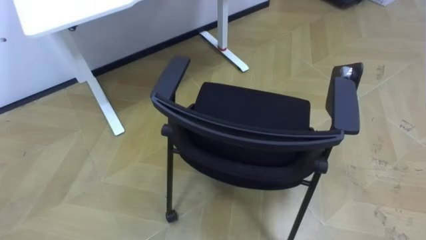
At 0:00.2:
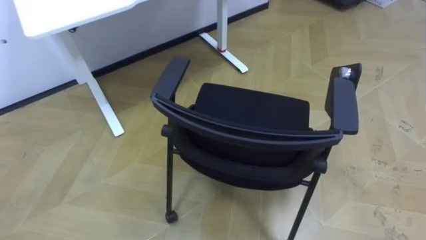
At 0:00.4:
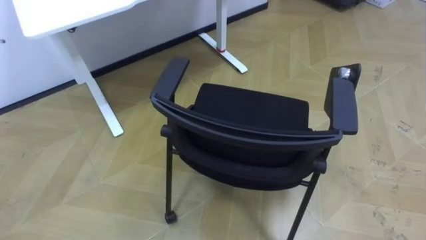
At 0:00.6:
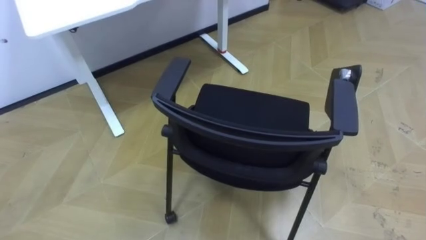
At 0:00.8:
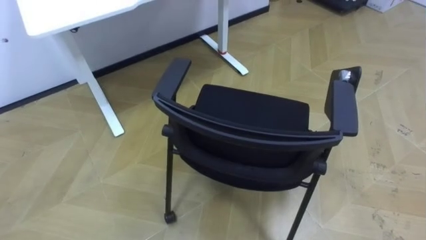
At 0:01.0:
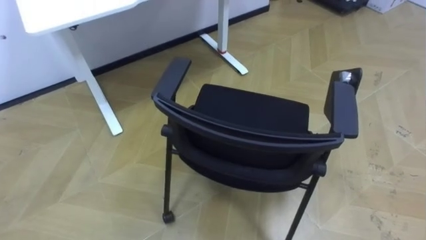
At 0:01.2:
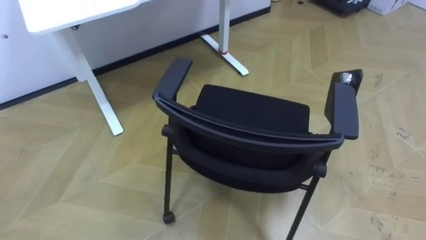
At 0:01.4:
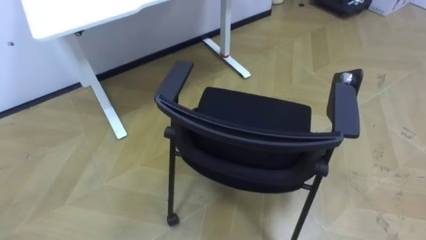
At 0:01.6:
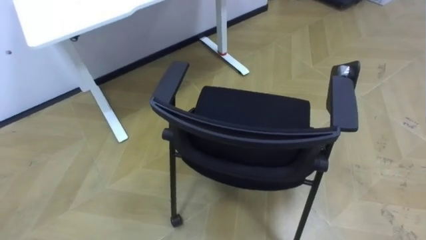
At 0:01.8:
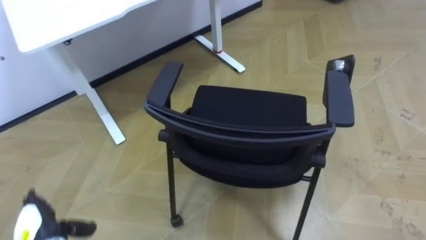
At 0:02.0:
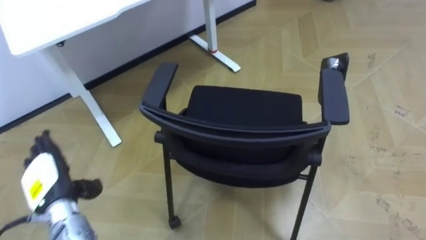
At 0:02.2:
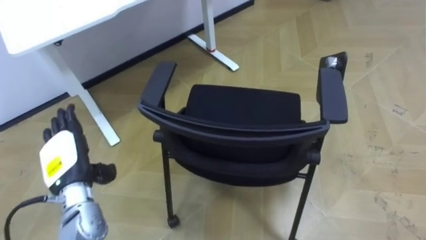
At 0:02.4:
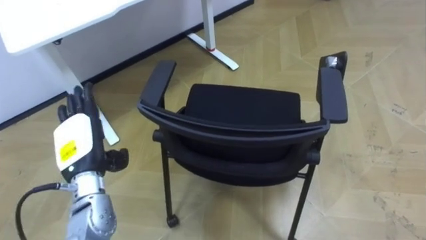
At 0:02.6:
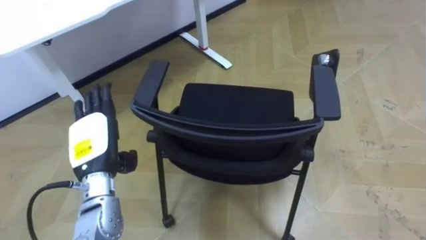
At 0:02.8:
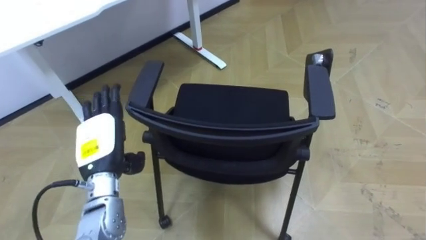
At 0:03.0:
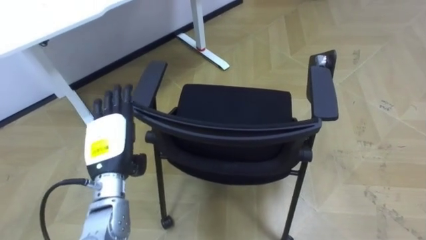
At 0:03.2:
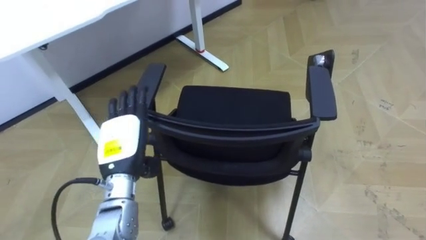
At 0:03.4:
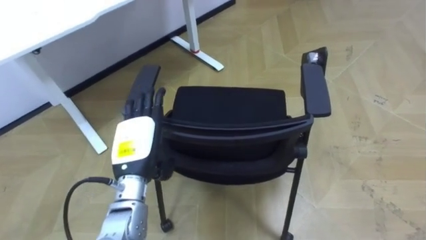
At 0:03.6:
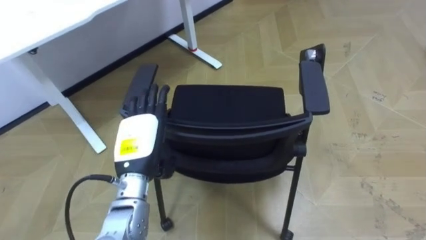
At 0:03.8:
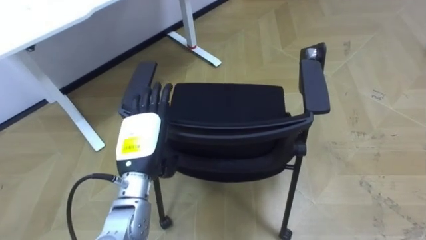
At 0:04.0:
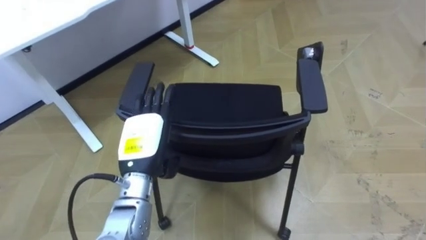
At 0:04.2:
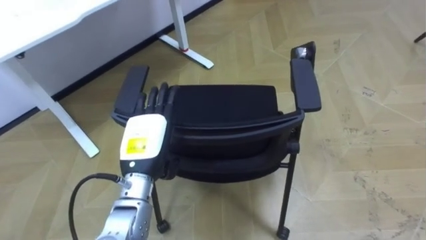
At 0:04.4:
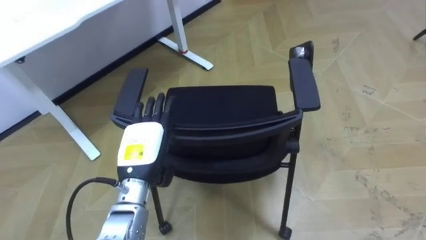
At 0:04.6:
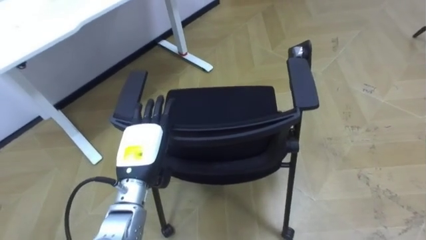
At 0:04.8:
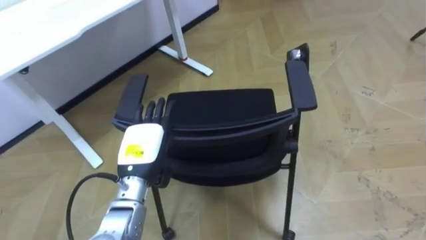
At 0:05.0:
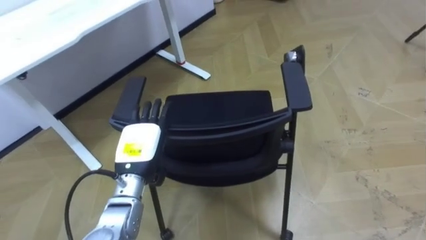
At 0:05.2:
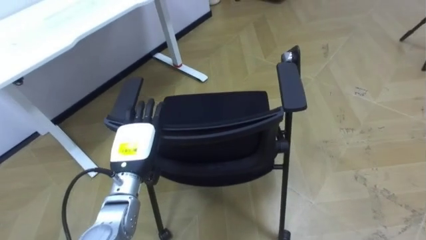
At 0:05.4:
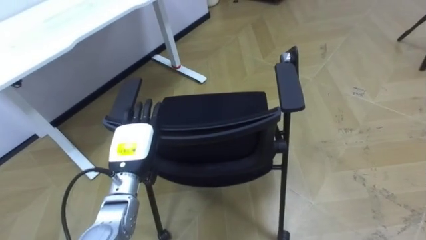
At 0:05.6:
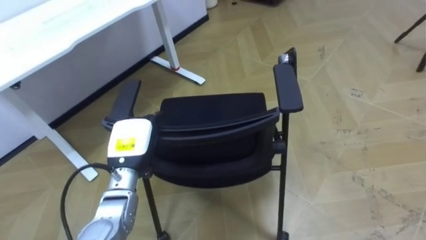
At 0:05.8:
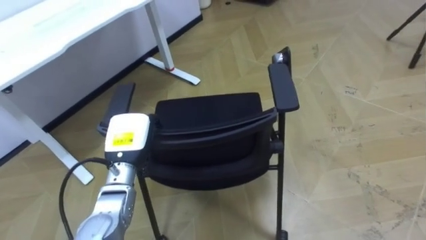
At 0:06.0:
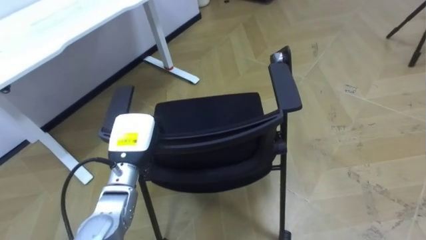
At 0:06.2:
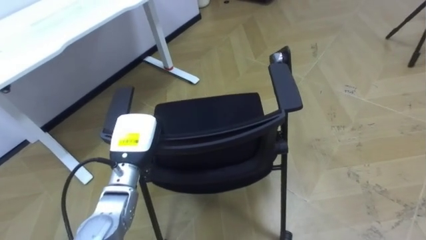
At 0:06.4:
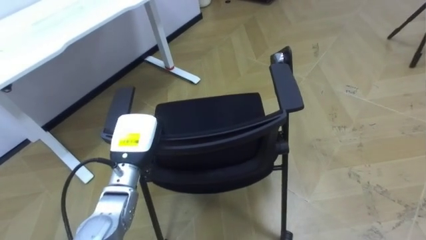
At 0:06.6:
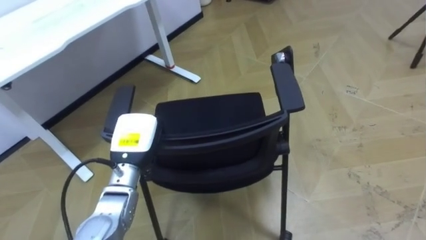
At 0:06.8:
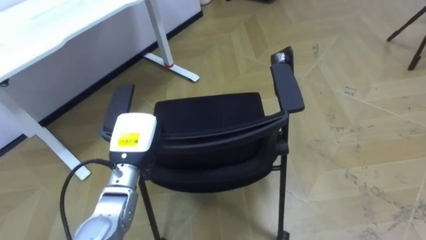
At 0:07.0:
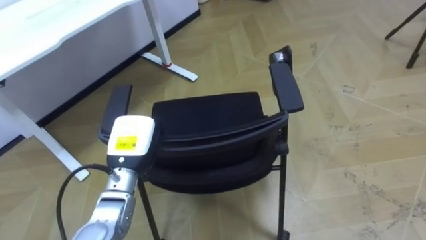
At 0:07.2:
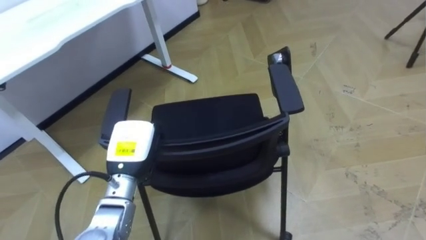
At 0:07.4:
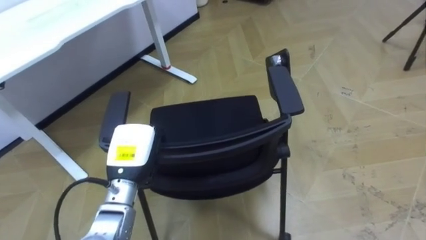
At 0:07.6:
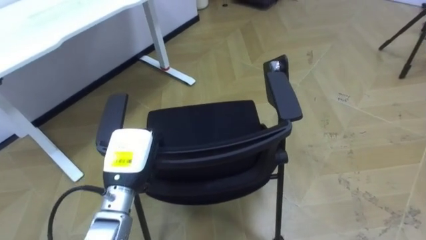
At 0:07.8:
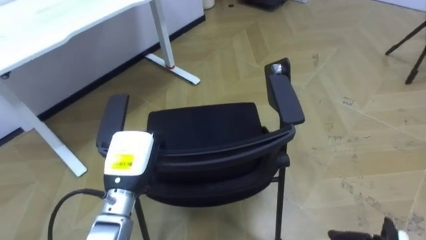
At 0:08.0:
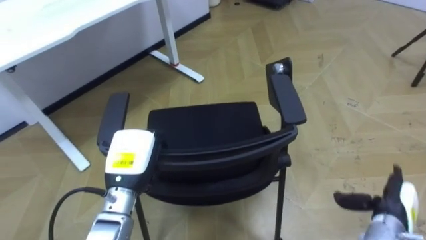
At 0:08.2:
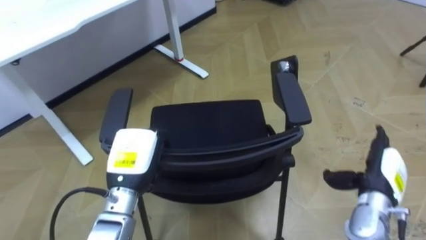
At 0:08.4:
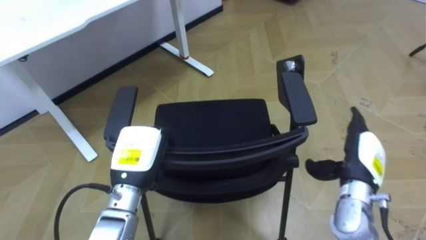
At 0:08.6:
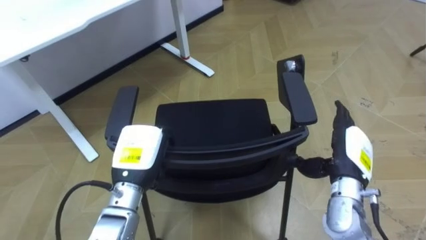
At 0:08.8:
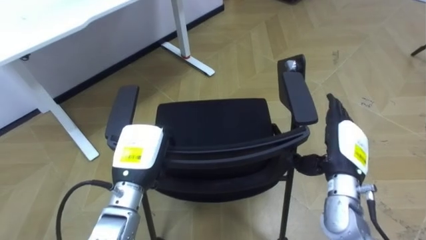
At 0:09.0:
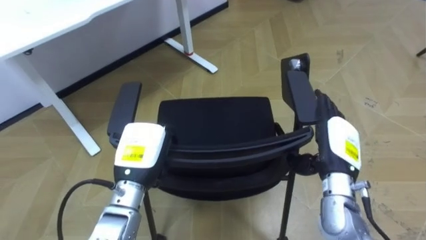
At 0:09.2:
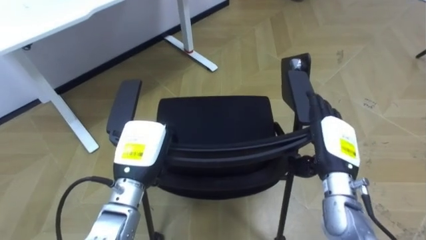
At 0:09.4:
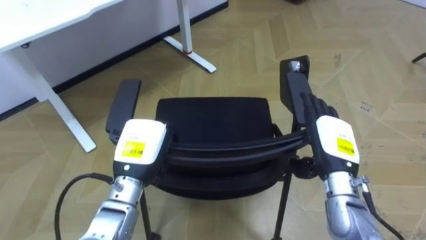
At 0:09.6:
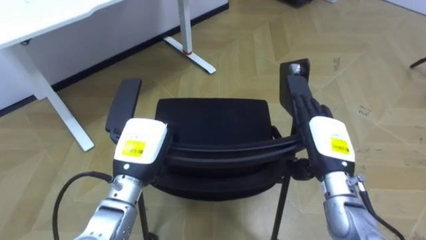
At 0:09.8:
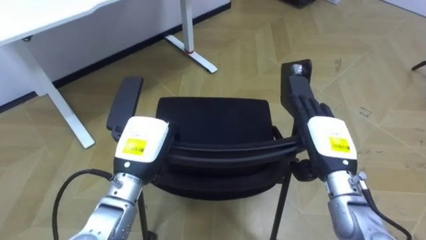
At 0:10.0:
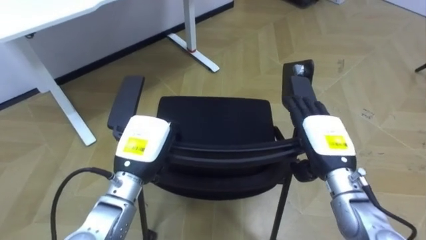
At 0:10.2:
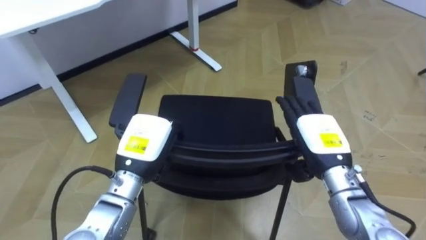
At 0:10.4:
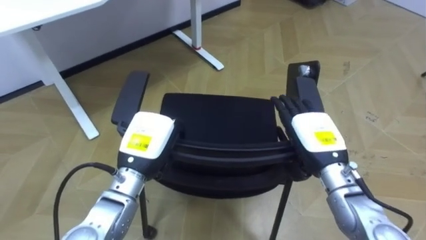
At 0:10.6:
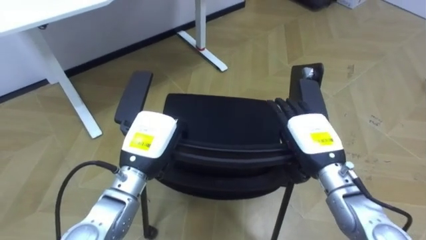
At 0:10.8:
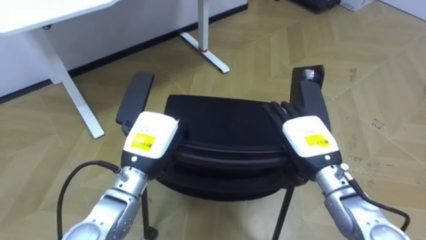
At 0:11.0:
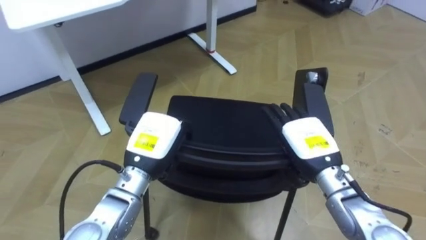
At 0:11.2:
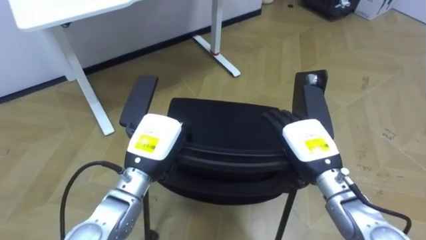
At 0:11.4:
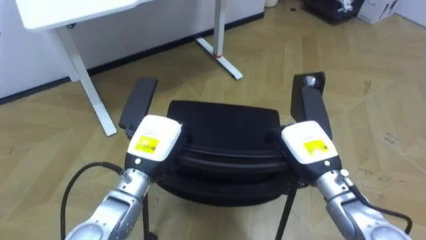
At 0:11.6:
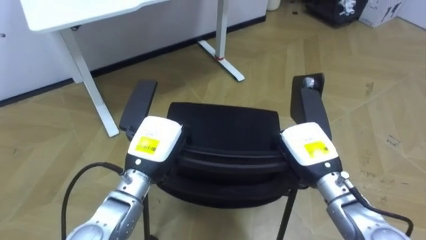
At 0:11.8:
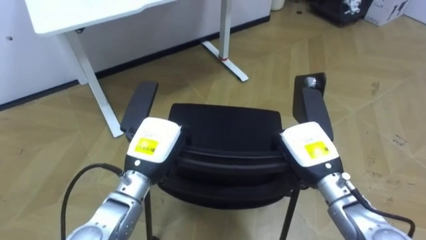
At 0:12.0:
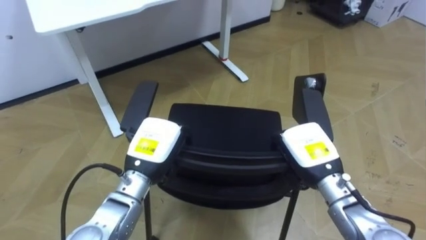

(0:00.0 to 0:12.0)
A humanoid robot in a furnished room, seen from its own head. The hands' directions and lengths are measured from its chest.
Task of the whole recording: Push the chair under the table.
0:03.0 - 0:04.4: The left hand goes about 5 cm to the right.
0:04.4 - 0:06.0: The left hand closes its fingers.
0:10.4 - 0:12.0: The right hand closes.

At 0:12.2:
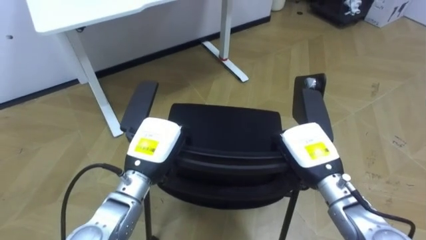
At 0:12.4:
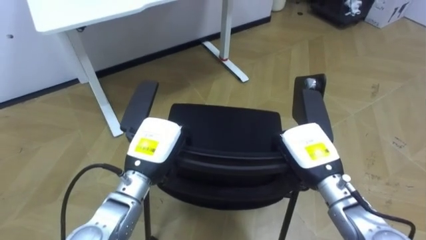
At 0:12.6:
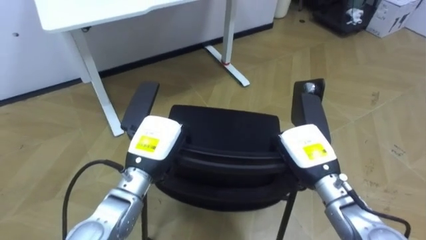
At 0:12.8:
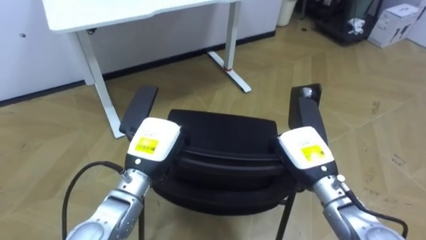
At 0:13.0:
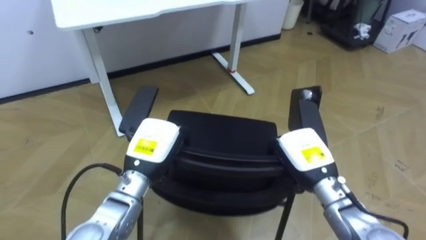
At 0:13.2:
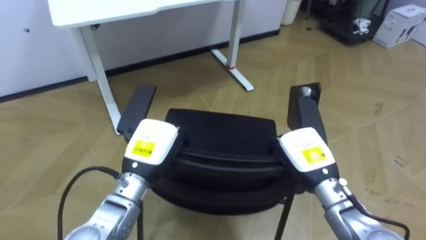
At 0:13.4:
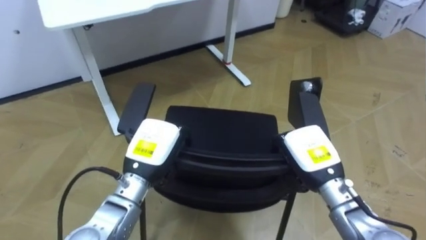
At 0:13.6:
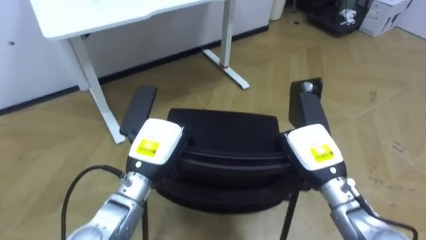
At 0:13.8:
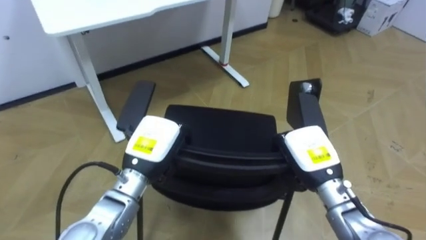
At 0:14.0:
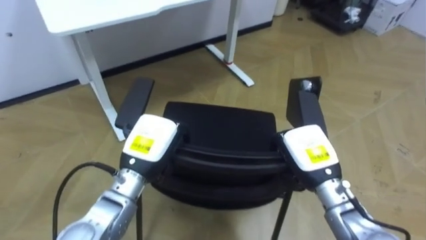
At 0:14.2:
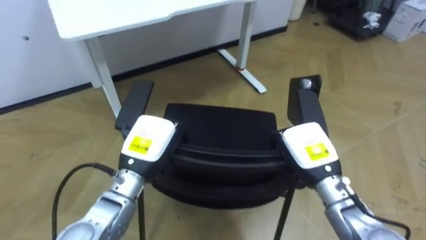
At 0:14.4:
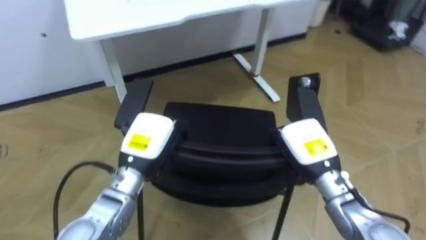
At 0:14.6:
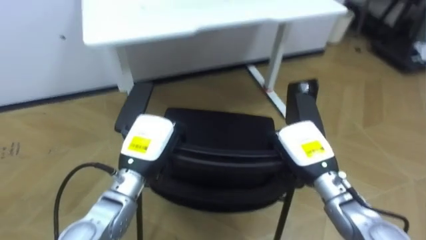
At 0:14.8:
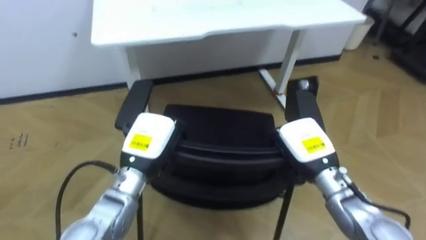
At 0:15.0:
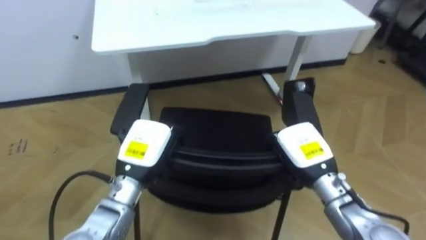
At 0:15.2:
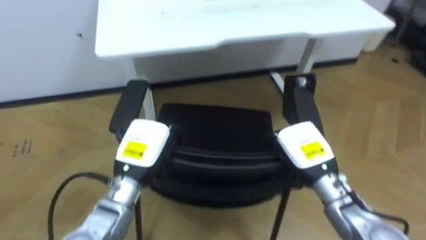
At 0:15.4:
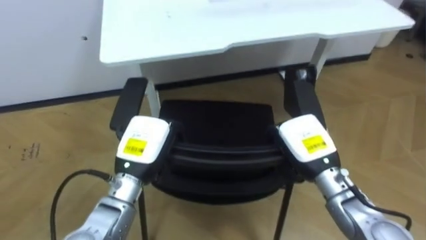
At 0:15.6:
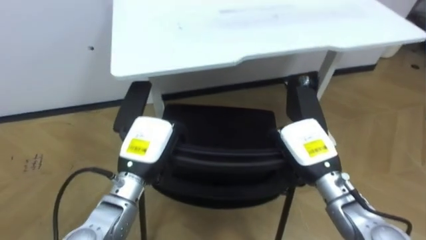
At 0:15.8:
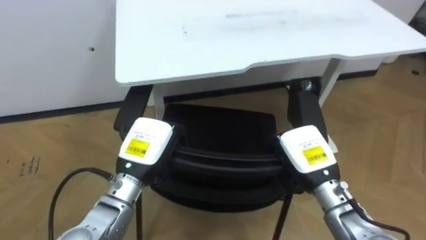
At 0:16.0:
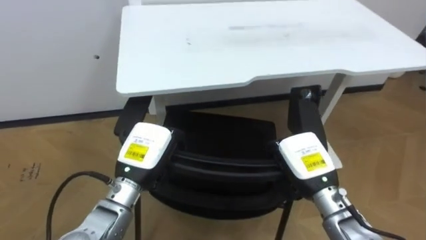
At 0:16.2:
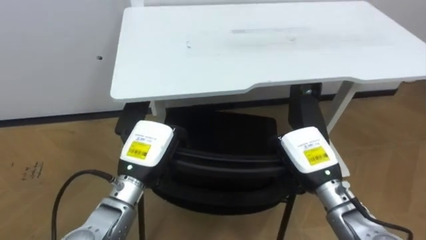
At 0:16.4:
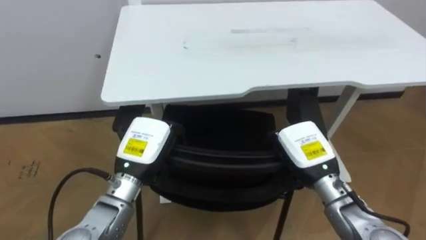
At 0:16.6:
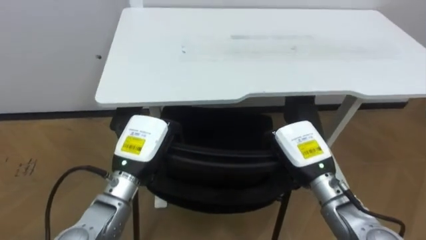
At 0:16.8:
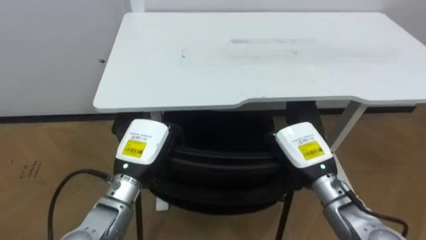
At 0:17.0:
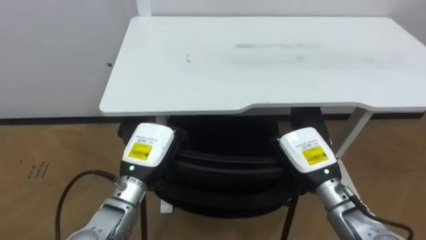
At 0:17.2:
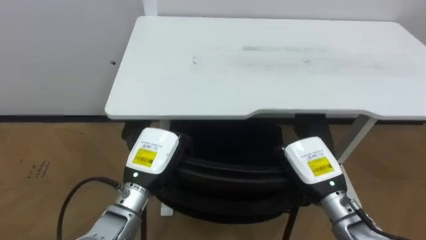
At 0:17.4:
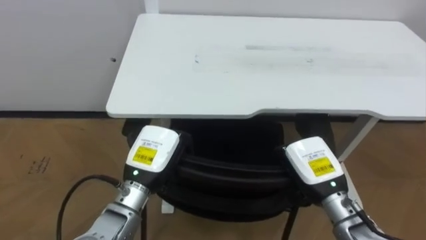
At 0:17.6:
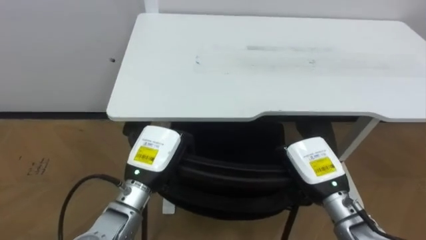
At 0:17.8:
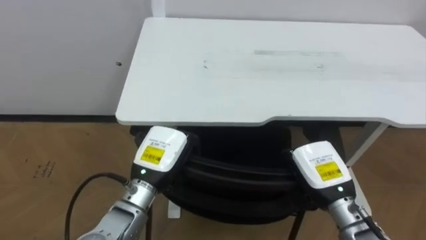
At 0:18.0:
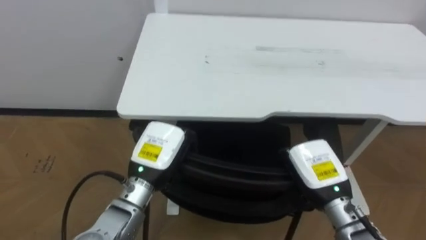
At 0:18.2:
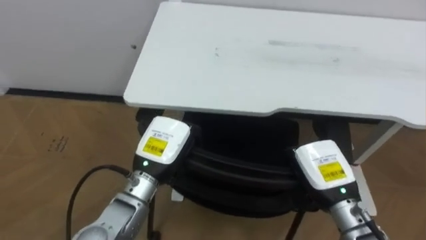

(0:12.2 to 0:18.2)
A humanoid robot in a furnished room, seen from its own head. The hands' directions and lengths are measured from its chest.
Task of the whole recording: Push the chair under the table.
0:13.8 - 0:15.2: The robot faces about 15 degrees further to its left.
